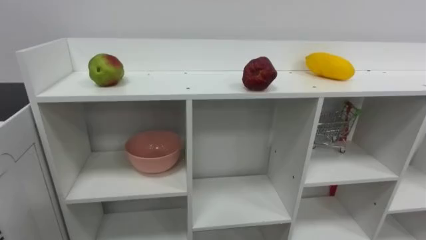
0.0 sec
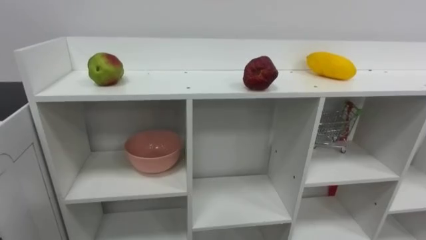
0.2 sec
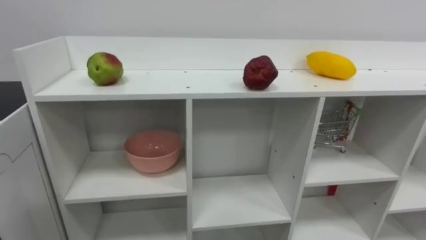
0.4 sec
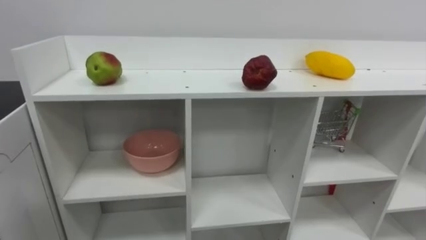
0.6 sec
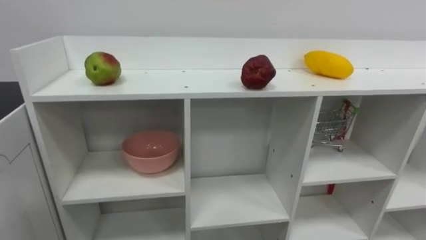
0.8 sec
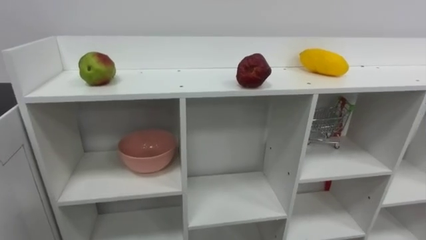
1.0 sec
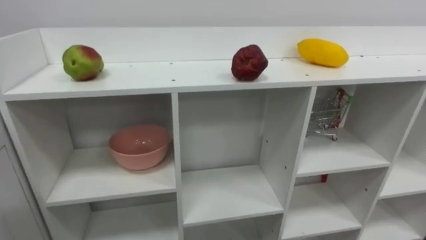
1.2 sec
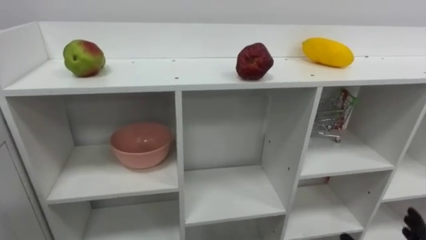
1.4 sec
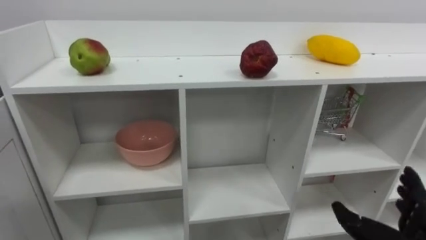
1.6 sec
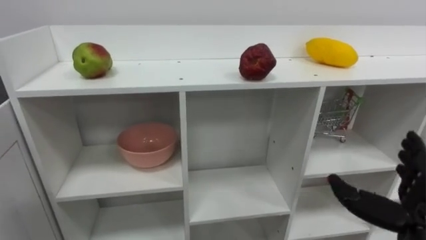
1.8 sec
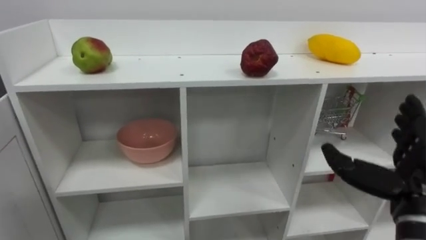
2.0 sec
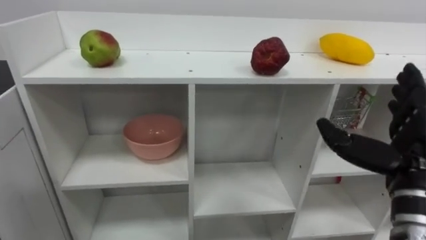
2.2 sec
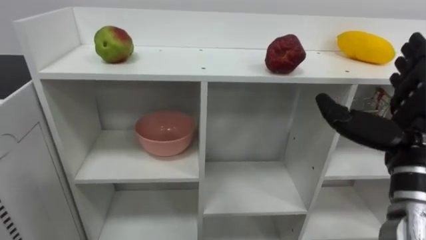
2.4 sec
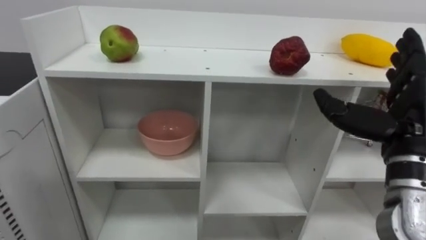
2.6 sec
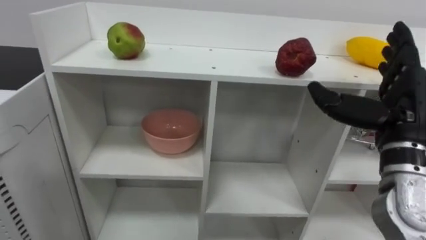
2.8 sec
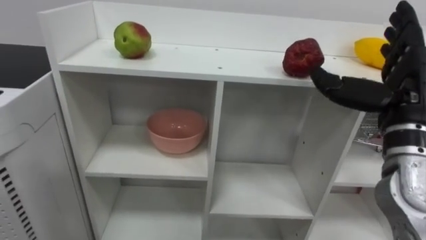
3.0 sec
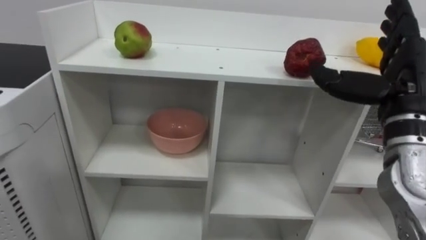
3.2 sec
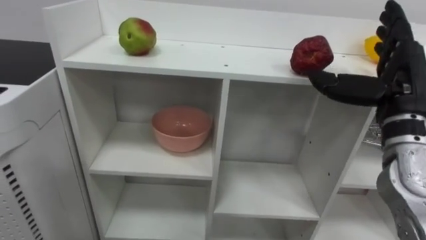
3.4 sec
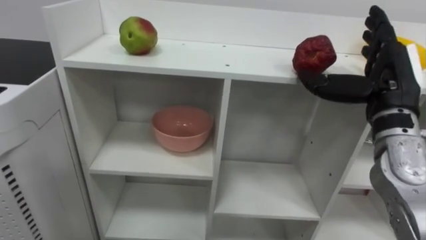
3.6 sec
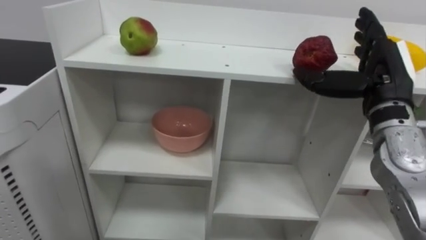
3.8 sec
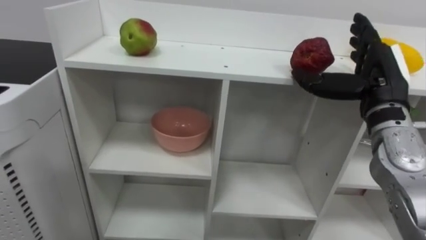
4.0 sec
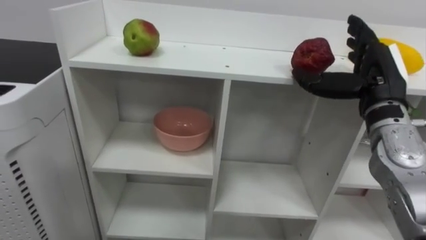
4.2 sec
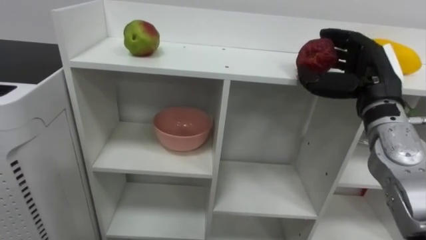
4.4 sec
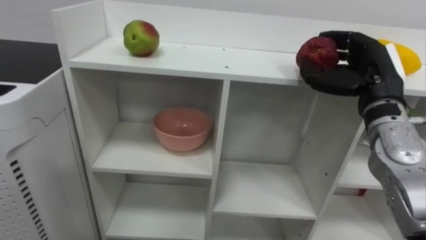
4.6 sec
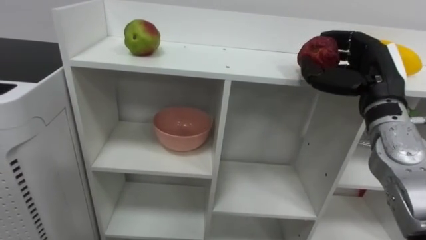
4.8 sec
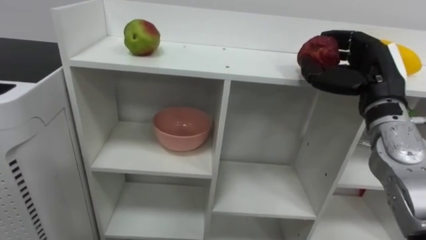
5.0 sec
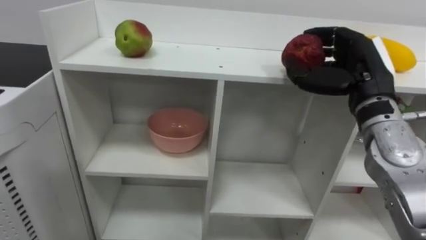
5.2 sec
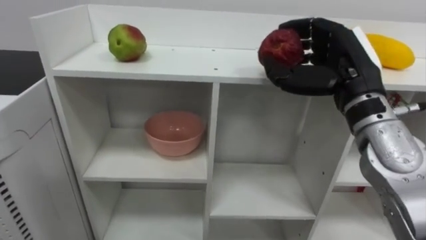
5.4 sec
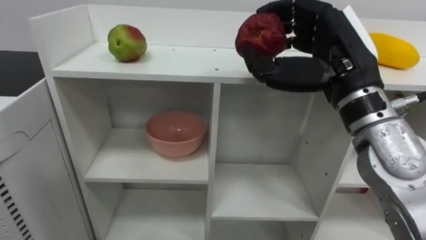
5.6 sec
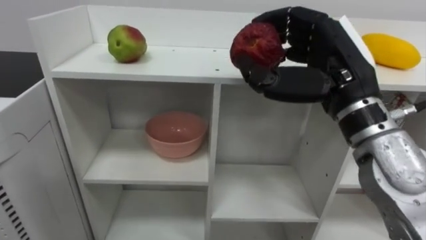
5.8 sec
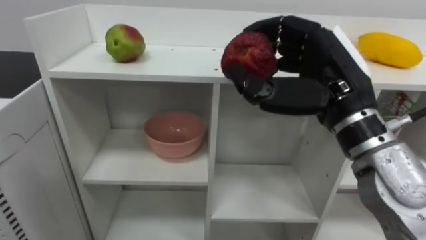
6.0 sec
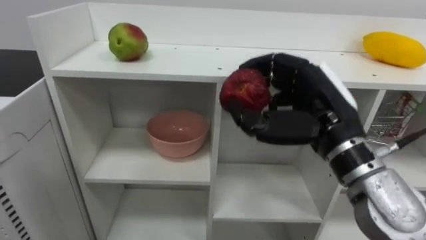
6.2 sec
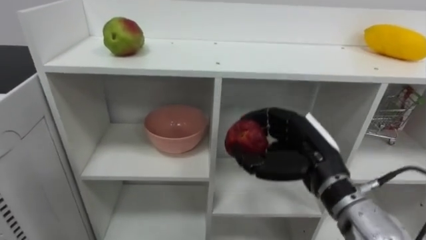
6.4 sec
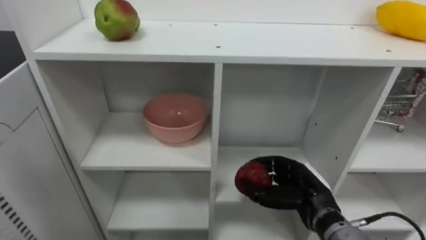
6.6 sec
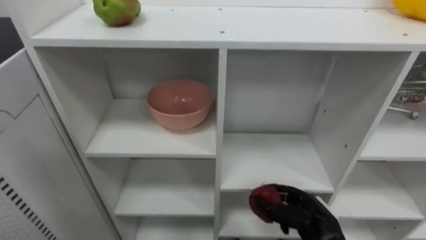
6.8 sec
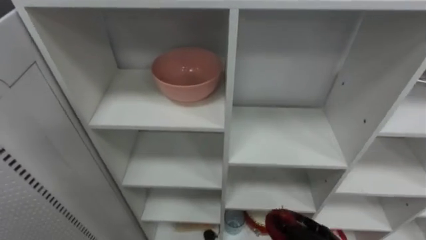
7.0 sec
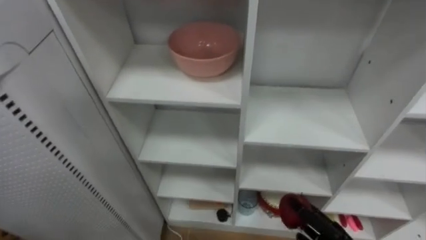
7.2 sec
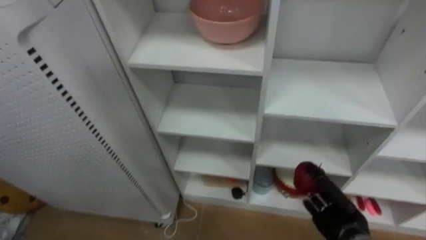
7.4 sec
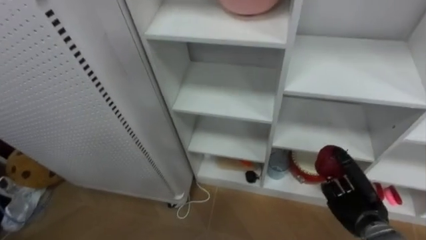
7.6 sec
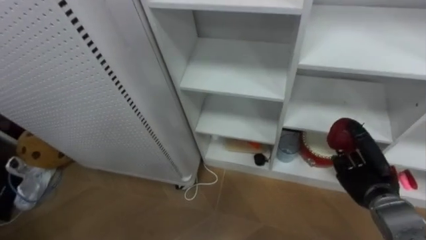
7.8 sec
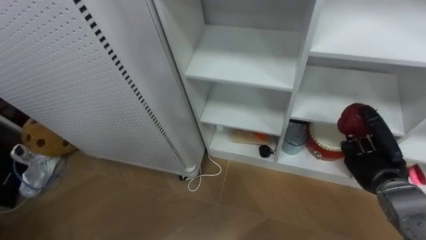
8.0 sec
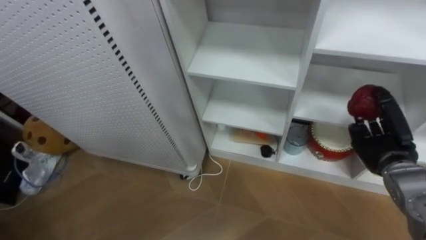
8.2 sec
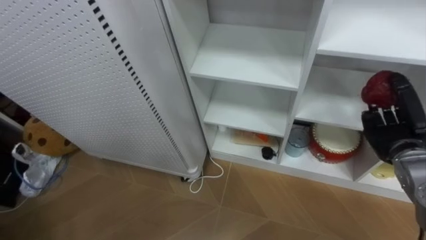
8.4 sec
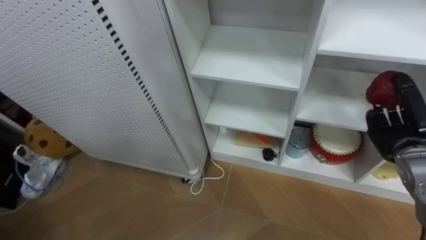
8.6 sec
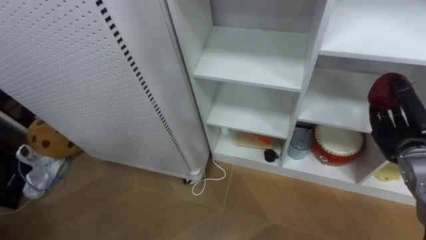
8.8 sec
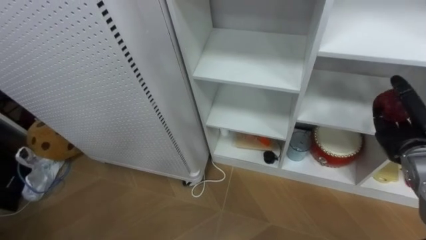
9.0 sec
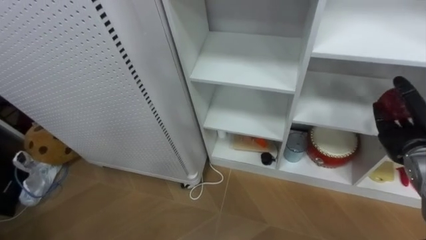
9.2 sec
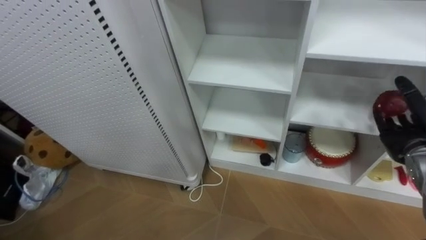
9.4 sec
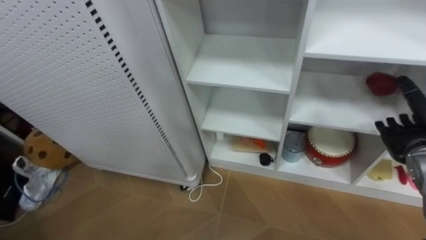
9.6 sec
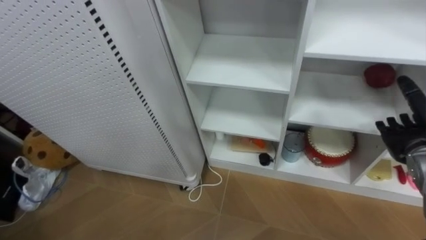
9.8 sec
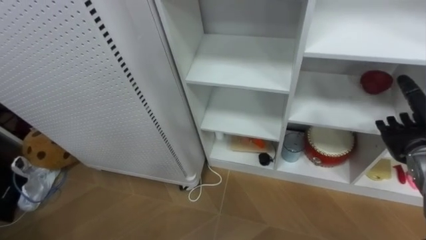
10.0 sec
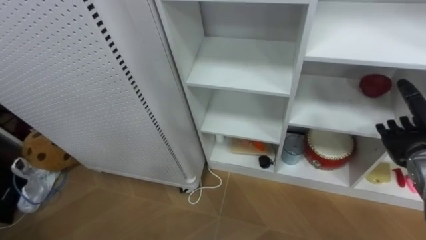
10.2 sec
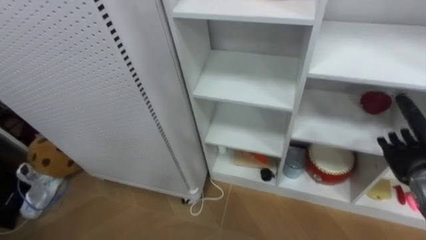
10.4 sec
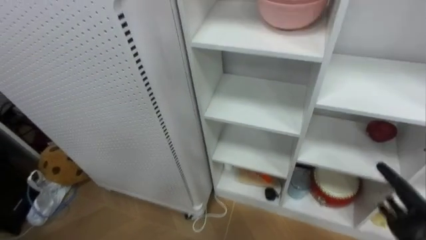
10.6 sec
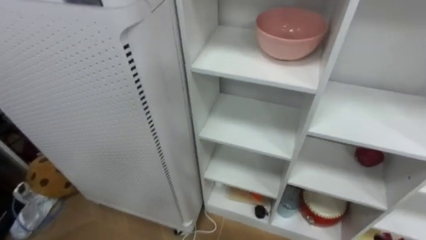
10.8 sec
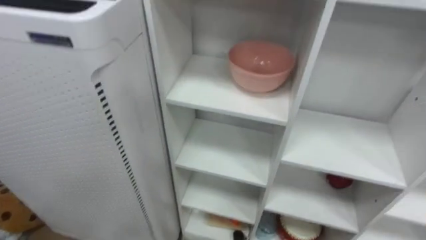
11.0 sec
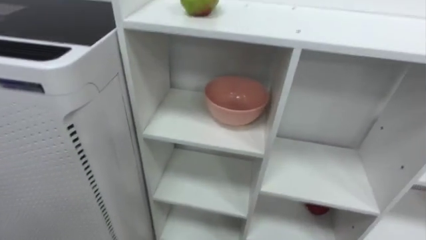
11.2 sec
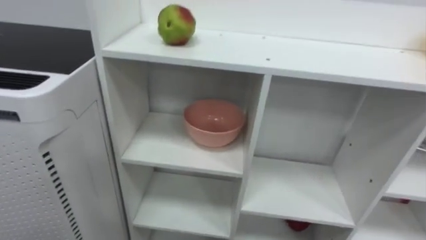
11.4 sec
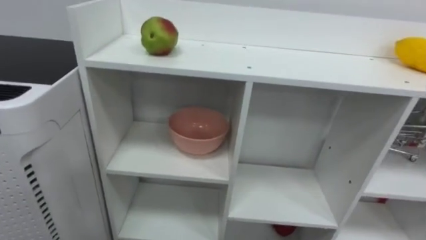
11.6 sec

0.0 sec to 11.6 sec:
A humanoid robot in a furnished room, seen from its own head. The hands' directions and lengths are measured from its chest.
Task of the whole recording: Put the apple in the cell in the second column from the left and the second row from the top.
2.8 sec to 4.4 sec: The right hand moves forward, some 5 cm, and closes up.
4.4 sec to 5.8 sec: The right hand shifts some 10 cm to the left and backward.
8.8 sec to 10.2 sec: The right hand opens its fingers.

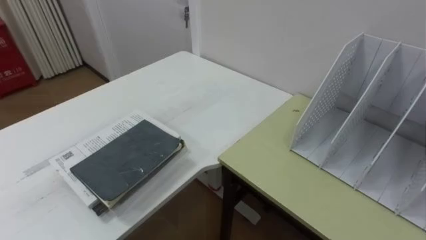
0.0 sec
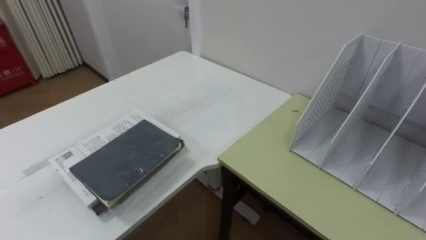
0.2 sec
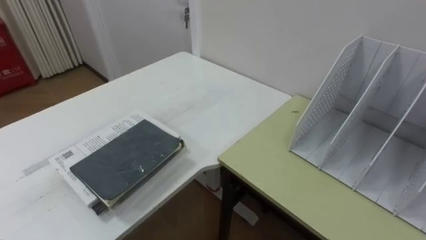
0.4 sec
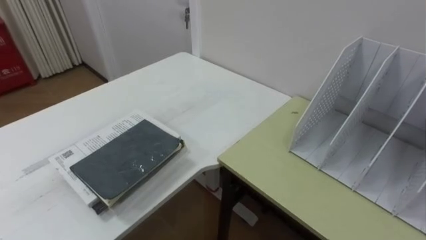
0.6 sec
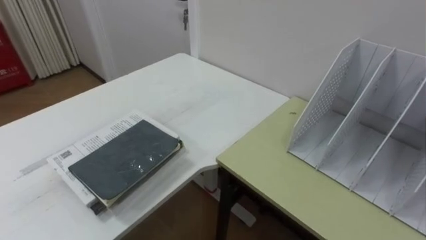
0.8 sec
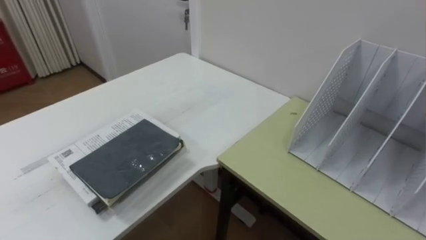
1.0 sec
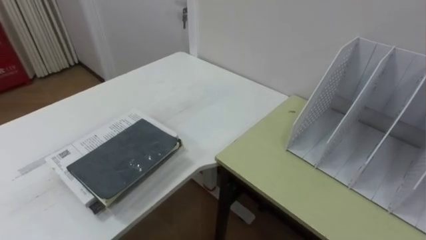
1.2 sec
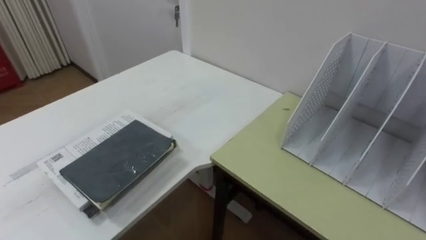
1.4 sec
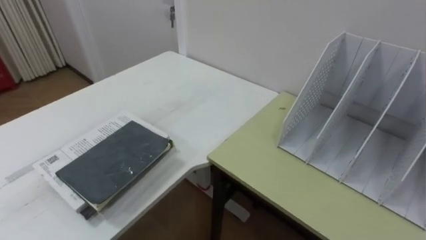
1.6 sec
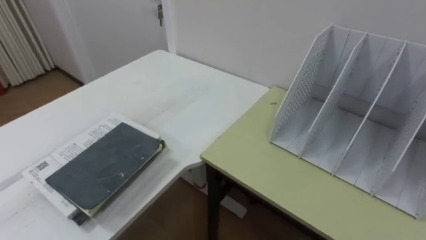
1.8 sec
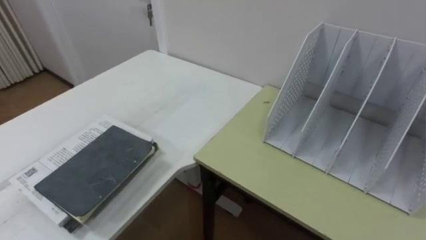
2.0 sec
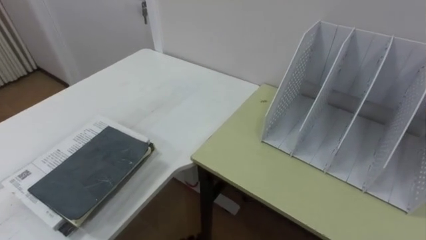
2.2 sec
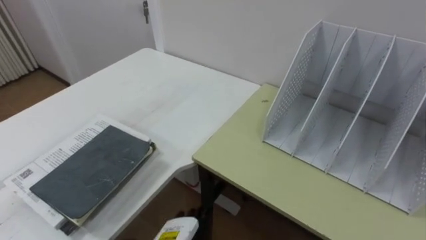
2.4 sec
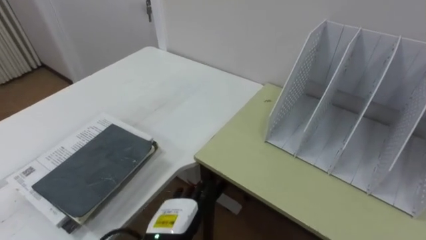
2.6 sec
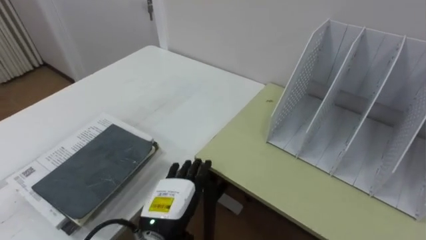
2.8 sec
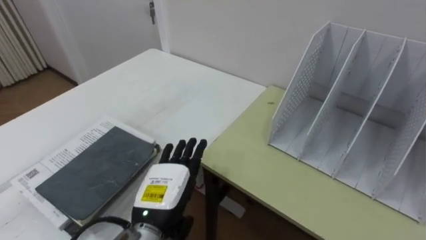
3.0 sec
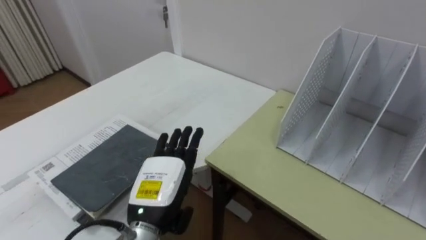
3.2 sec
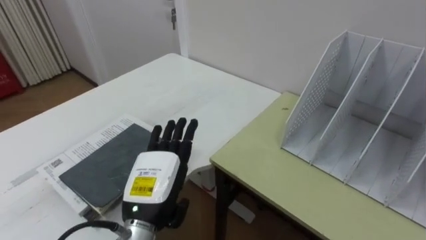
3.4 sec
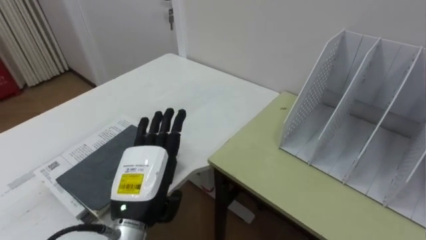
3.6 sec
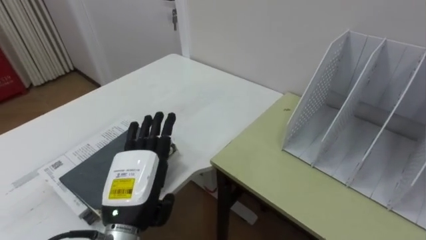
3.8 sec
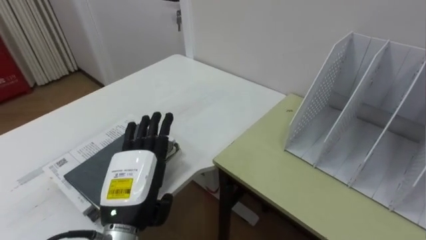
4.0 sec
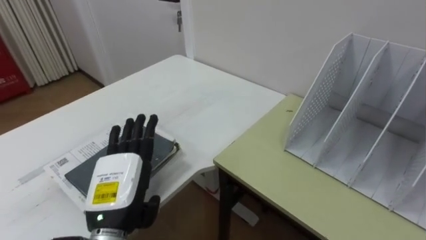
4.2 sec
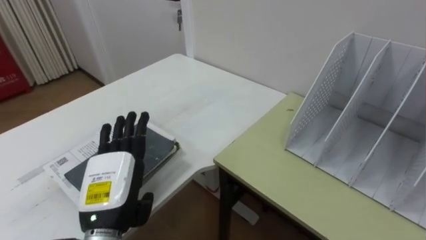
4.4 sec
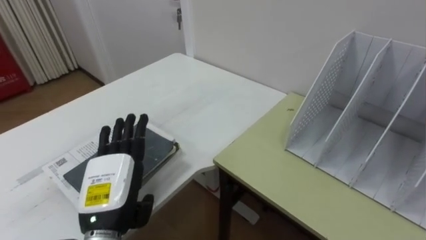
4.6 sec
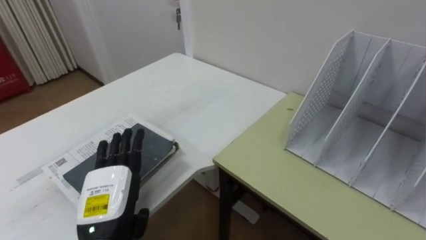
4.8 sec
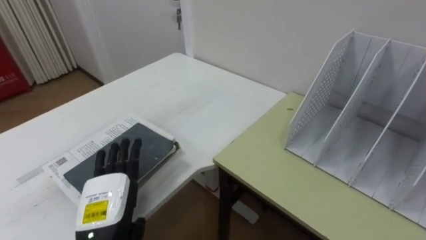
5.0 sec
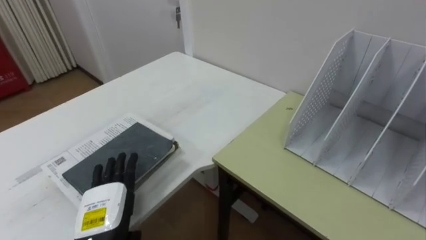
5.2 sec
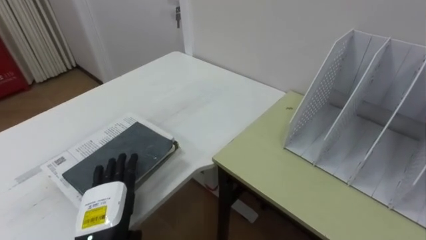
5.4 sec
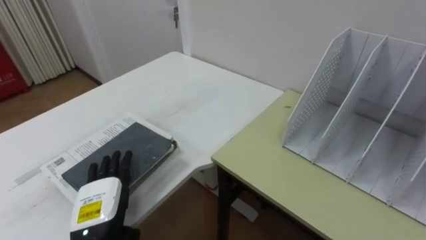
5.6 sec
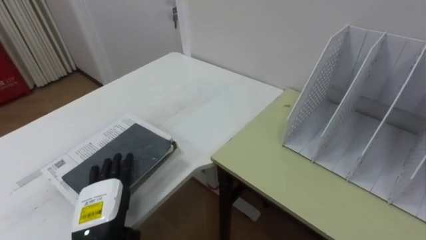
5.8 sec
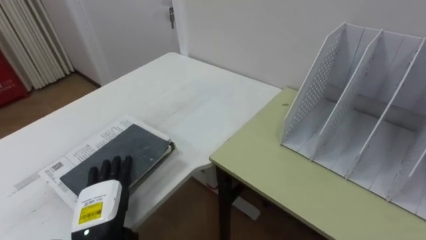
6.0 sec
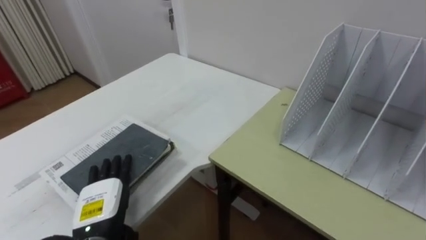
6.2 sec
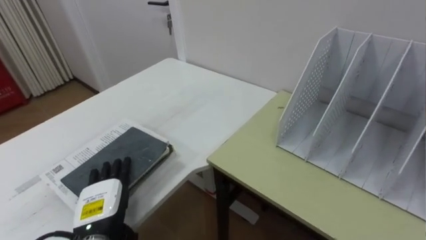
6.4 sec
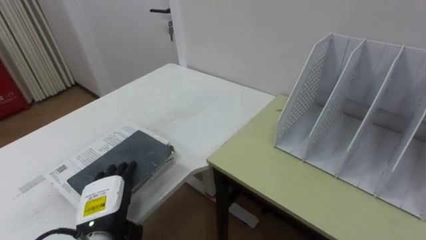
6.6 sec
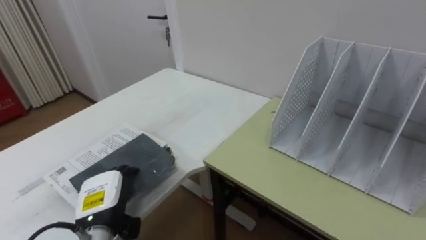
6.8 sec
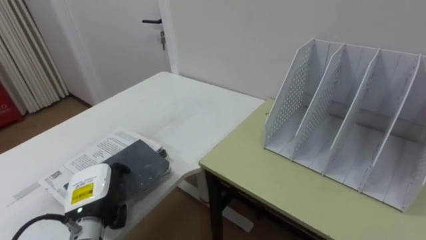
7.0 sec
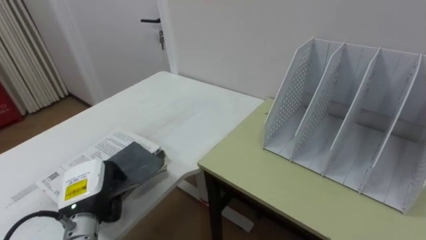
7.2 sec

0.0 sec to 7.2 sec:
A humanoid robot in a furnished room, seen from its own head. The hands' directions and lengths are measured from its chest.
Task of the whole recording: Put the books on the table onto the bookshelf.
2.8 sec to 4.4 sec: The left hand goes some 10 cm to the left and upward.
4.4 sec to 5.8 sec: The left hand shifts roughly 5 cm downward.
5.8 sec to 7.2 sec: The left hand closes up.
